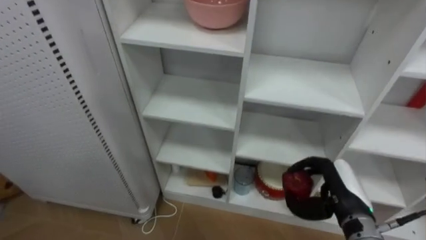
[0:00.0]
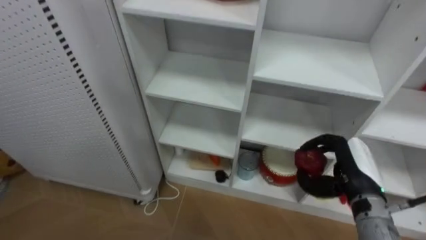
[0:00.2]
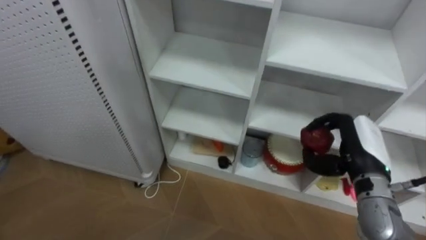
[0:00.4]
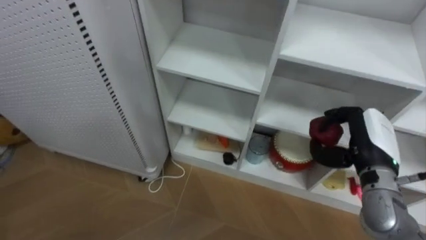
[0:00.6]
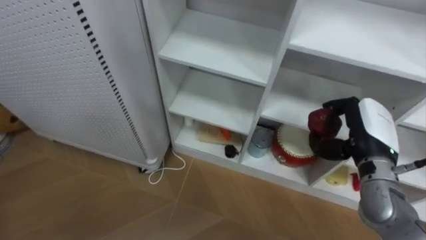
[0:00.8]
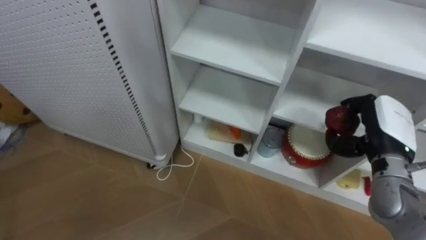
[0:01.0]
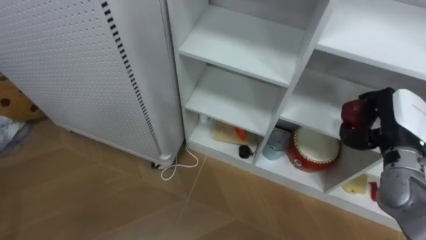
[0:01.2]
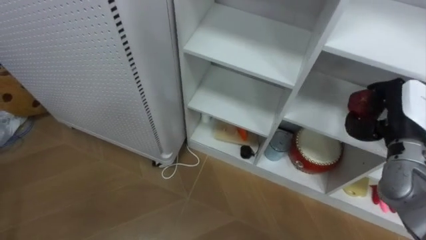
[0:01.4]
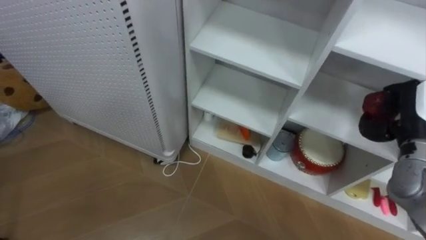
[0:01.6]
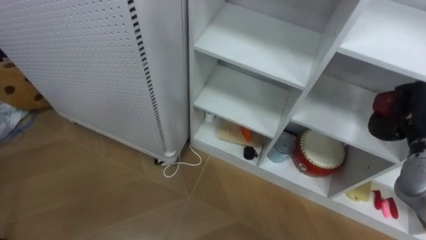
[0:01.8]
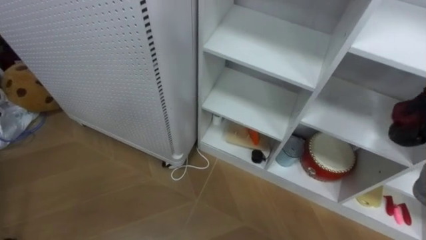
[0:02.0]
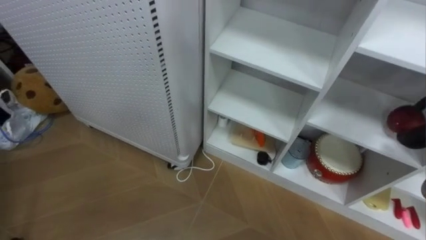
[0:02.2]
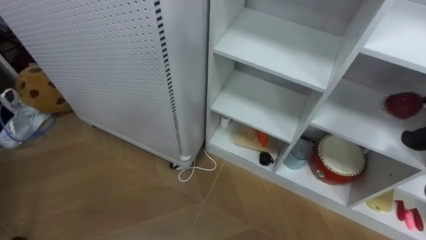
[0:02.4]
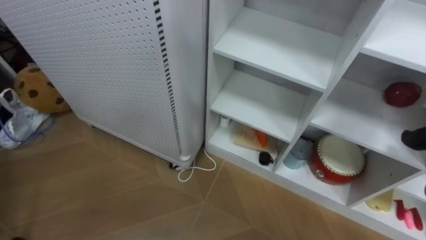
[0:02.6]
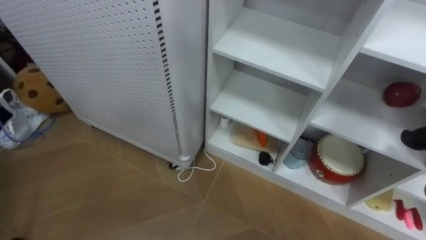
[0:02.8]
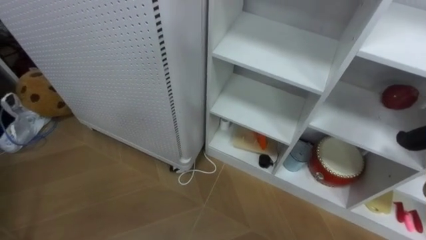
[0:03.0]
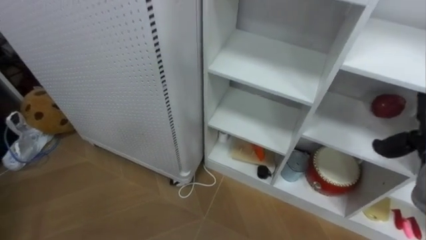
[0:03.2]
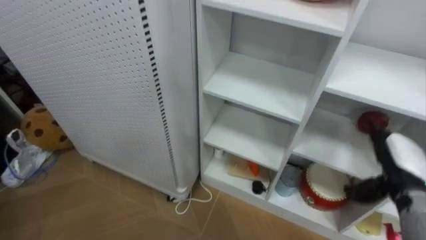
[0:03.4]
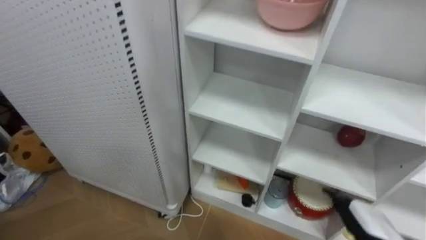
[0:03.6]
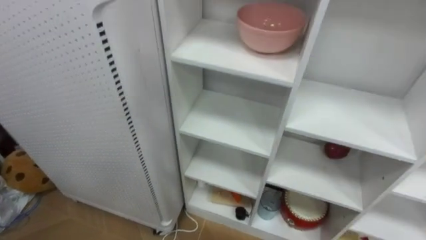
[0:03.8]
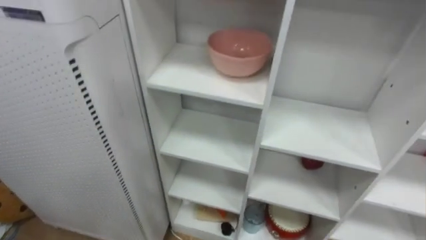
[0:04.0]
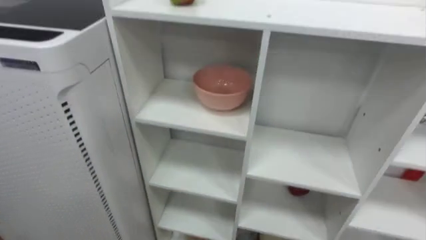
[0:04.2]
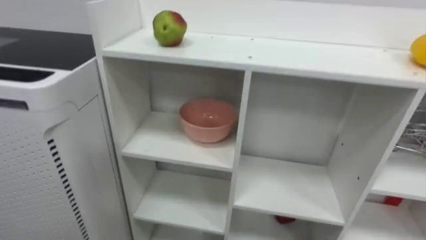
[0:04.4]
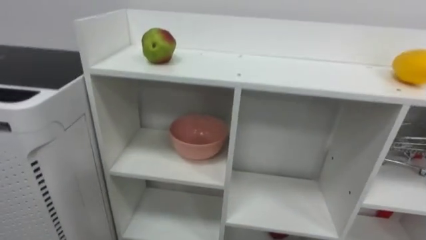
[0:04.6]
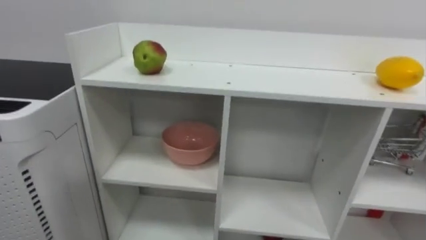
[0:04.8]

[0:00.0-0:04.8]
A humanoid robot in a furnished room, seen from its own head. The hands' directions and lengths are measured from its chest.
Task of the whole recording: Put the apple in the cell in the second column from the left and the second row from the top.
0:00.0 to 0:01.6: The right hand goes approximately 15 cm upward and to the right.

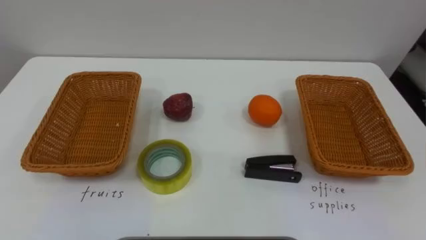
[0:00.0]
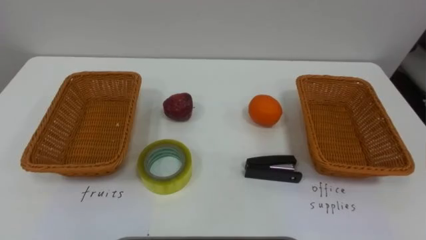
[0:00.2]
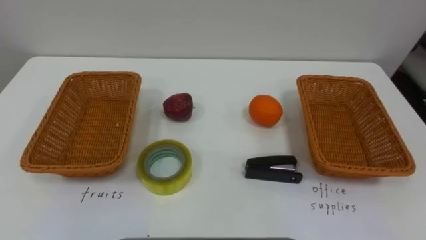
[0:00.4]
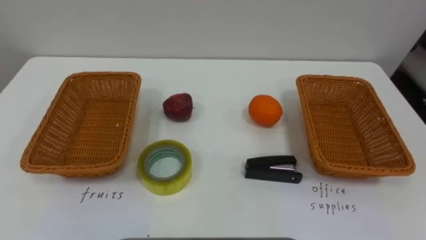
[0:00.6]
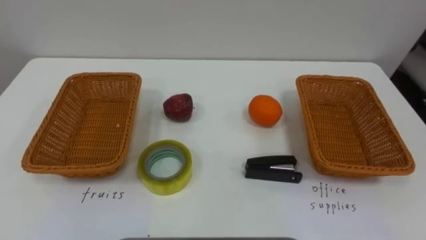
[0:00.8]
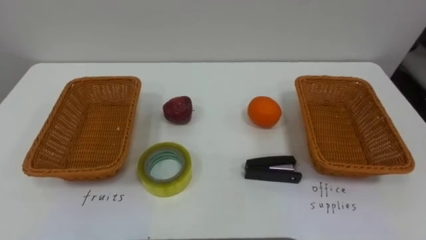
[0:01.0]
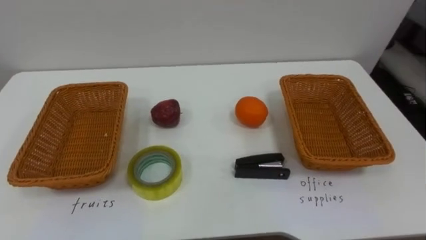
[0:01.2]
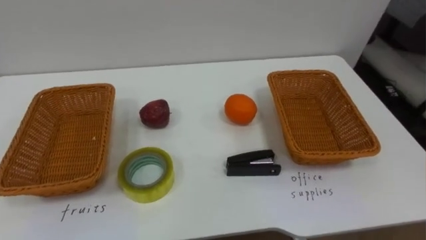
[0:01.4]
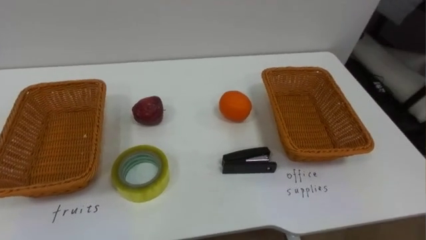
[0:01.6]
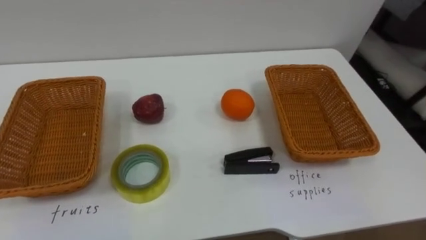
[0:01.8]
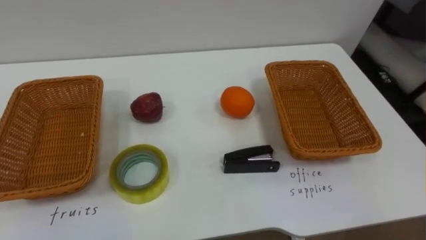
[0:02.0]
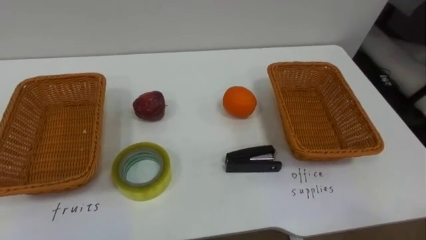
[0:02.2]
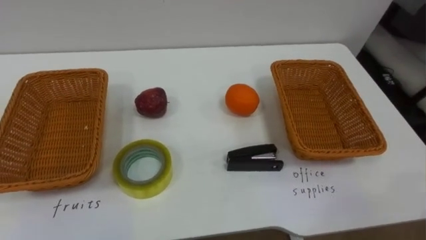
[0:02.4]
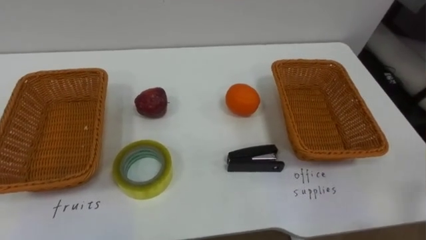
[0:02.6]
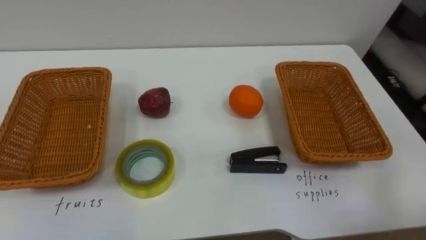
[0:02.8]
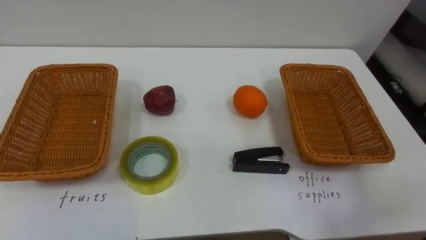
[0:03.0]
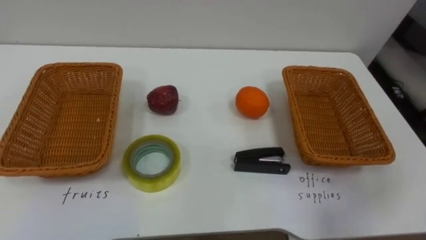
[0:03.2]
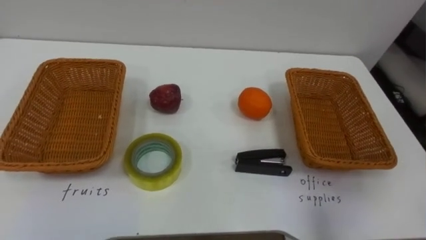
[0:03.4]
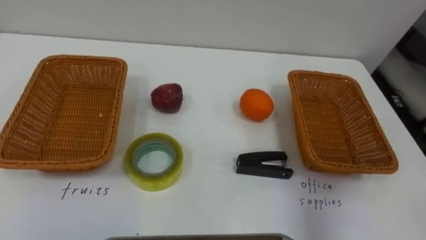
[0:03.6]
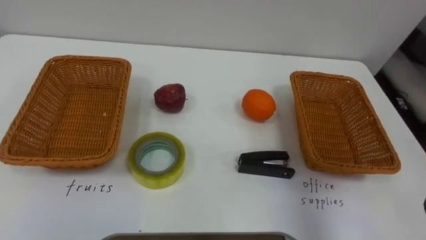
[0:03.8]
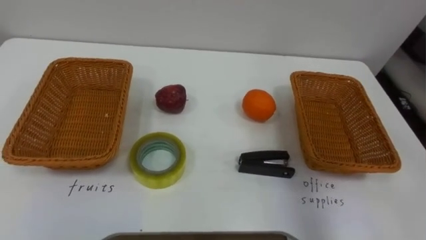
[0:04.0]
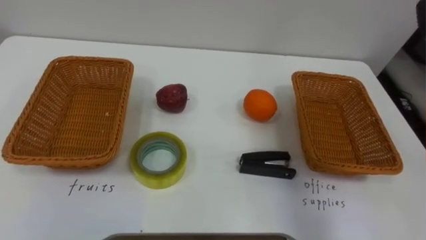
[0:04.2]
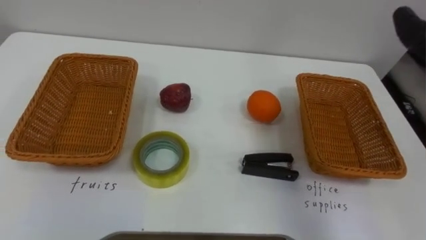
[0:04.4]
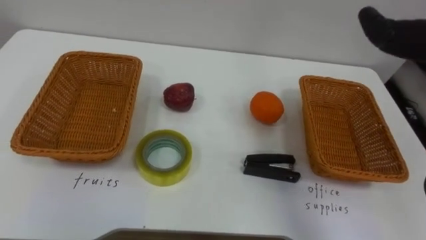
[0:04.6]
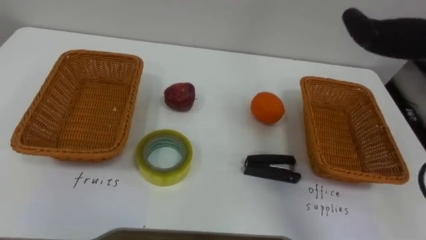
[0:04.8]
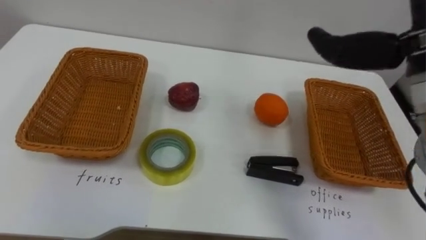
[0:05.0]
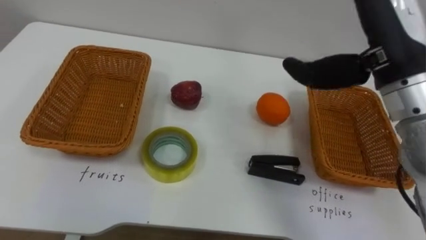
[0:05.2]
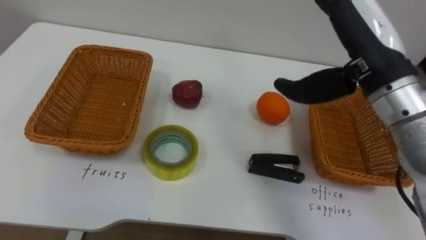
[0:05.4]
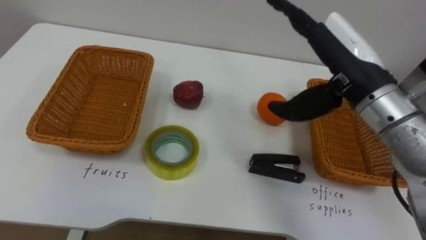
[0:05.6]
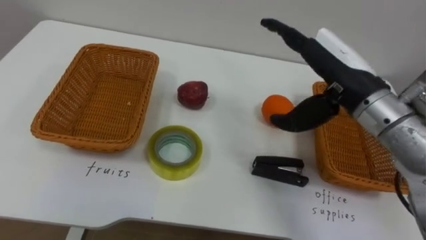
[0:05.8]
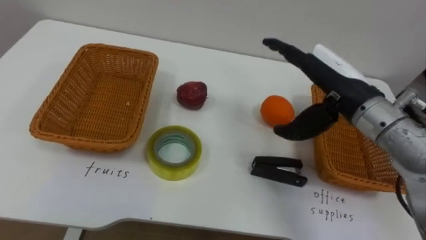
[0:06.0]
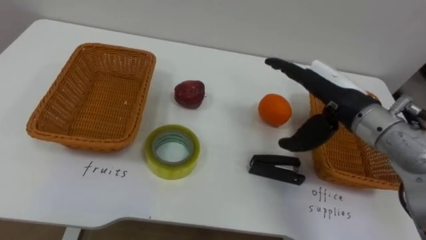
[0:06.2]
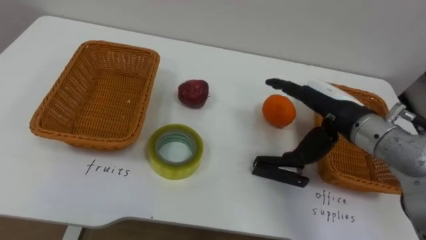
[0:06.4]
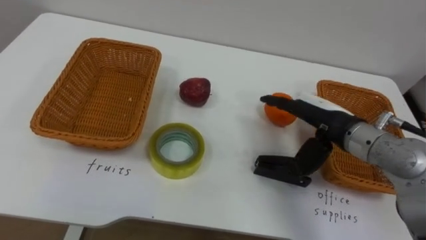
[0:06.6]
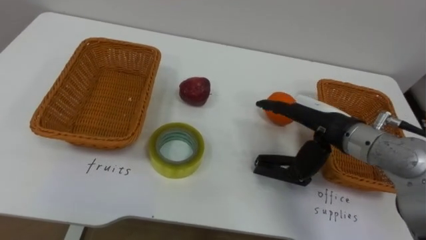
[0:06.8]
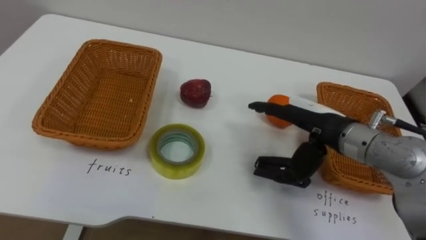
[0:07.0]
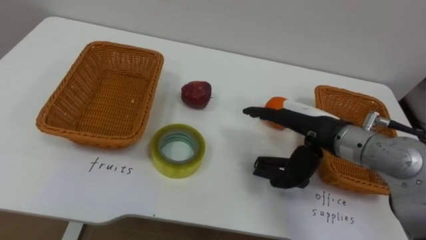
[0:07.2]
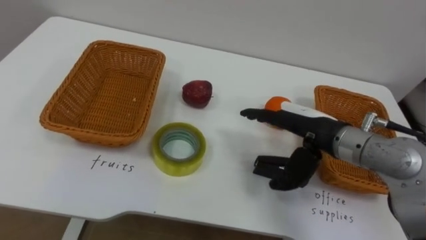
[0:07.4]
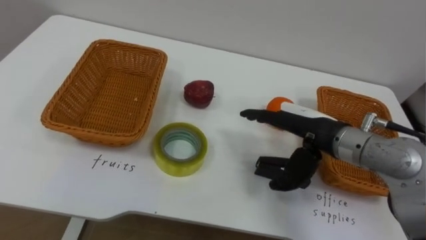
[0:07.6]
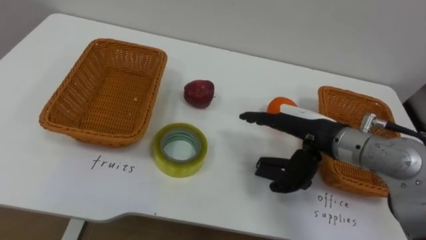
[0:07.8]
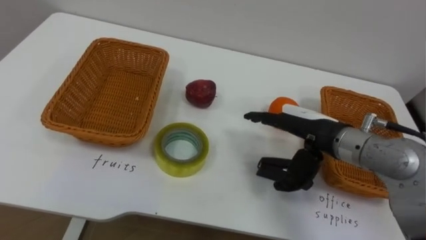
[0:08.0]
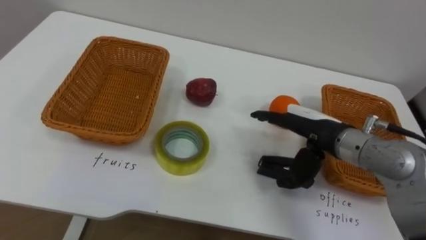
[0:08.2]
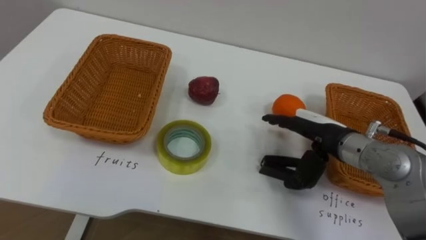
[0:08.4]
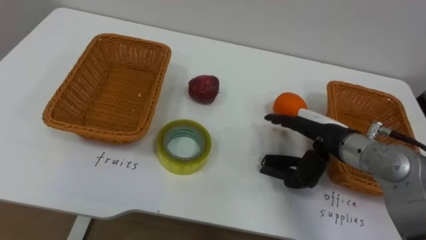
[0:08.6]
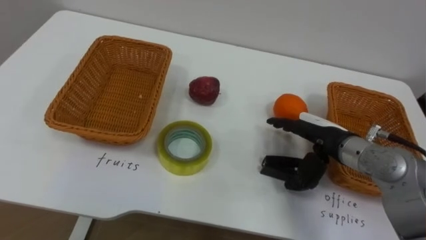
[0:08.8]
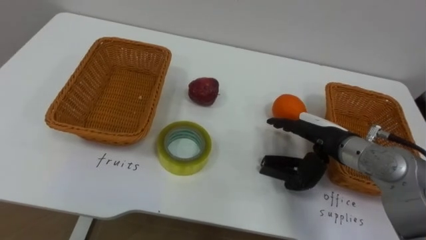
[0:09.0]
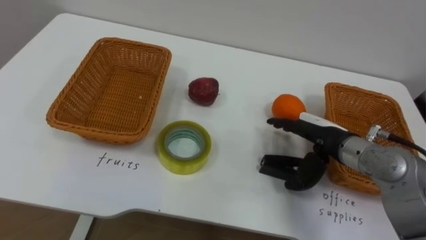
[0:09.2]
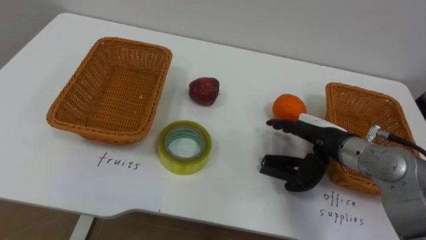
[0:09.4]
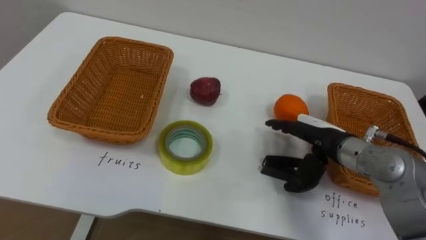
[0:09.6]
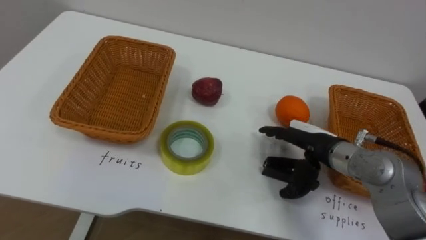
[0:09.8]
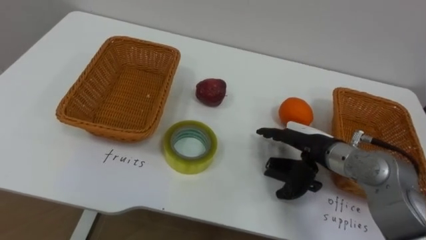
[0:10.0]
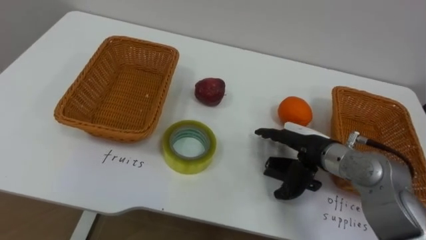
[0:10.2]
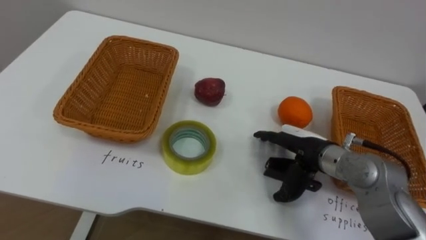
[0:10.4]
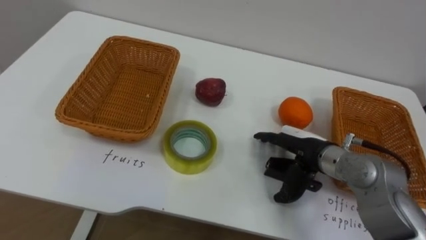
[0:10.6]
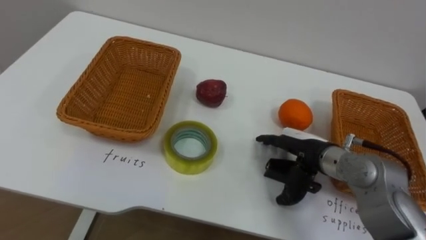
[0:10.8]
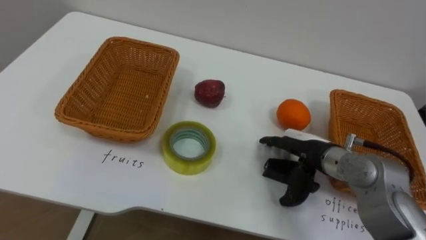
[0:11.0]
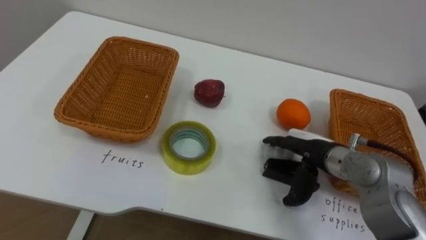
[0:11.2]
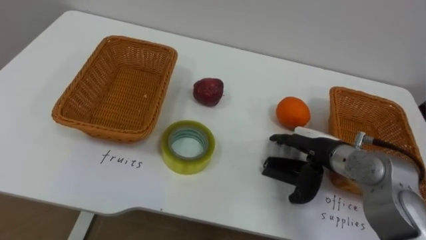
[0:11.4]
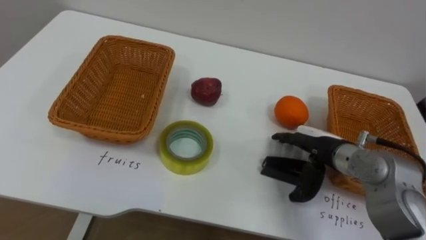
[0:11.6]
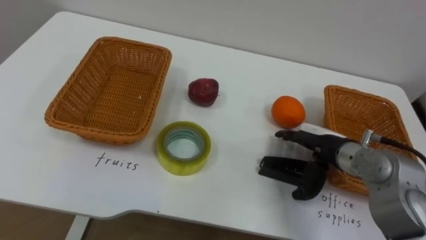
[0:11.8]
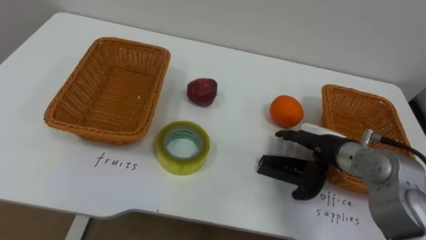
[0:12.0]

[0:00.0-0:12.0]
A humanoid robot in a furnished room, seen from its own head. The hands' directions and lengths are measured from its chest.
Task of the whole recording: Separate the items on the table and place them into the two baskets.
0:06.0 to 0:07.6: The right hand heads downward, covering approximately 5 cm.
0:07.6 to 0:09.0: The right hand moves some 5 cm.
